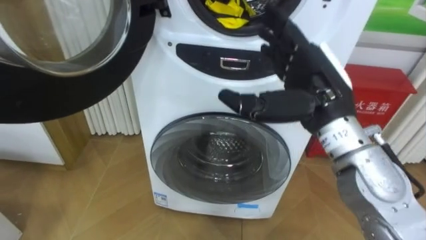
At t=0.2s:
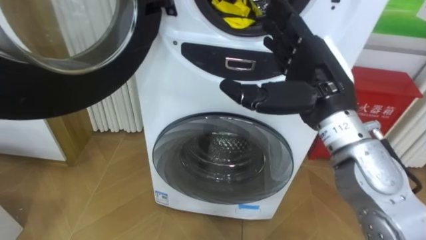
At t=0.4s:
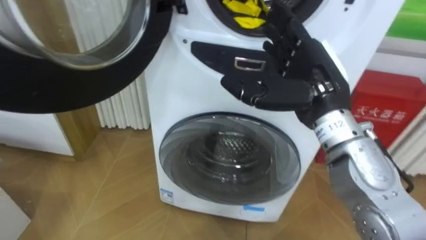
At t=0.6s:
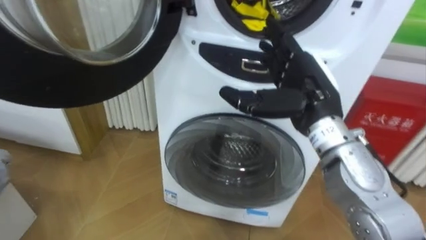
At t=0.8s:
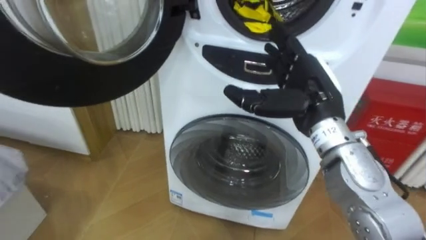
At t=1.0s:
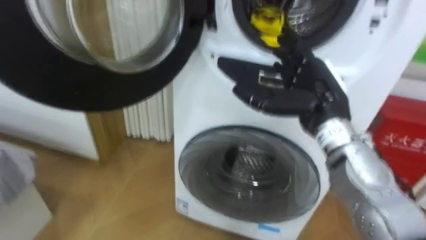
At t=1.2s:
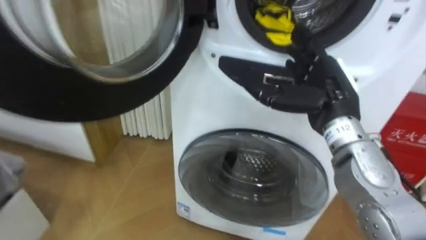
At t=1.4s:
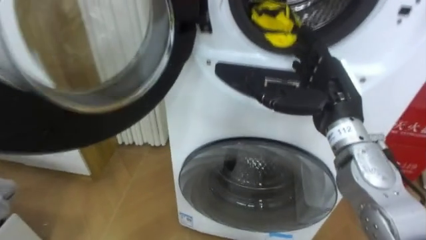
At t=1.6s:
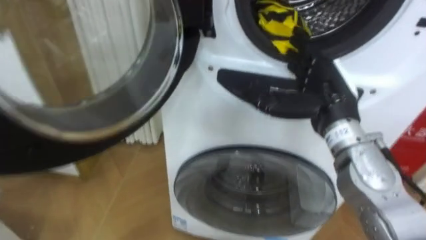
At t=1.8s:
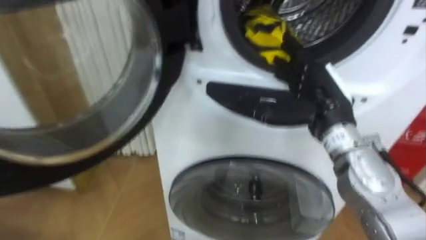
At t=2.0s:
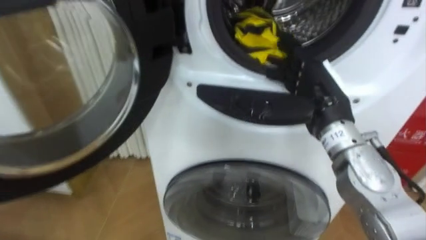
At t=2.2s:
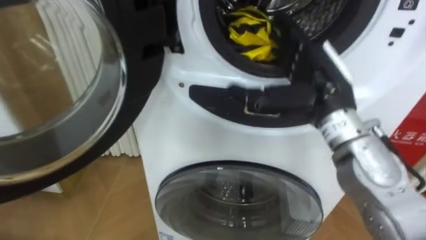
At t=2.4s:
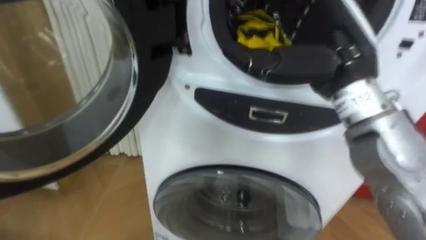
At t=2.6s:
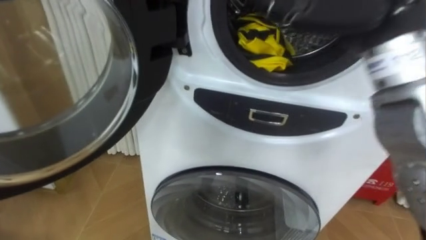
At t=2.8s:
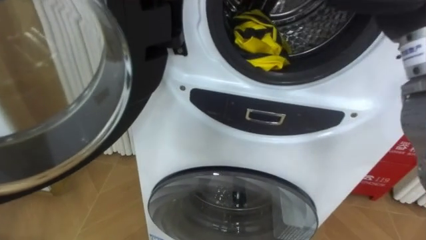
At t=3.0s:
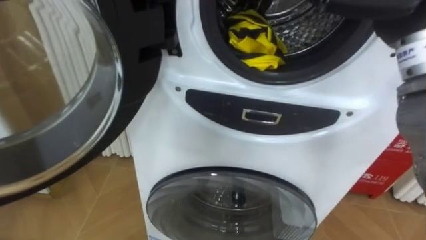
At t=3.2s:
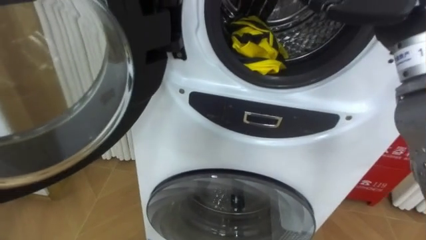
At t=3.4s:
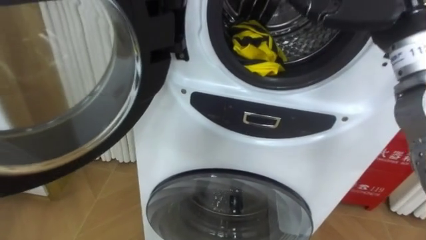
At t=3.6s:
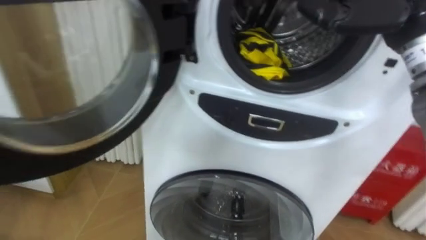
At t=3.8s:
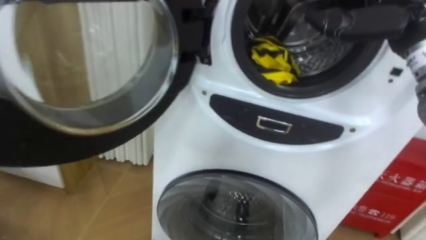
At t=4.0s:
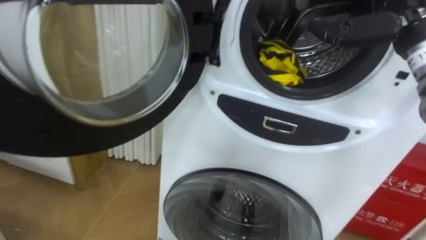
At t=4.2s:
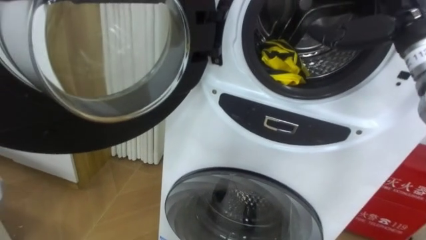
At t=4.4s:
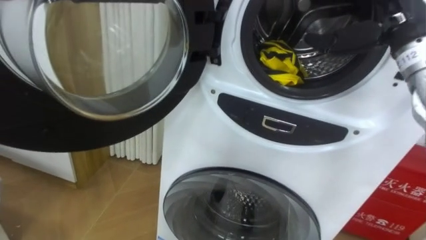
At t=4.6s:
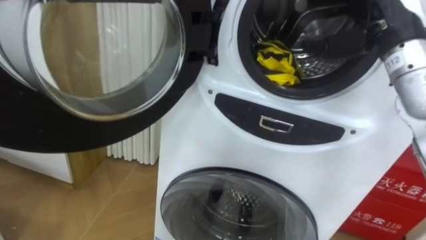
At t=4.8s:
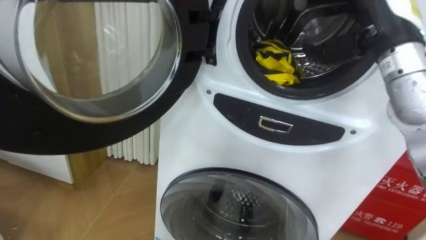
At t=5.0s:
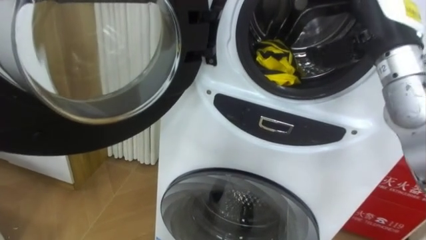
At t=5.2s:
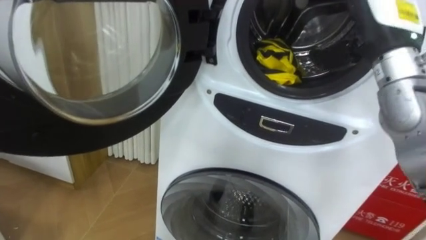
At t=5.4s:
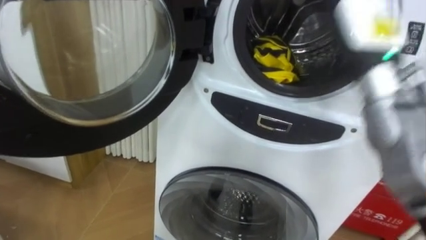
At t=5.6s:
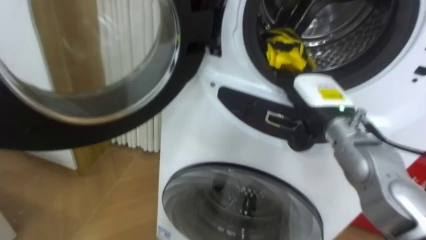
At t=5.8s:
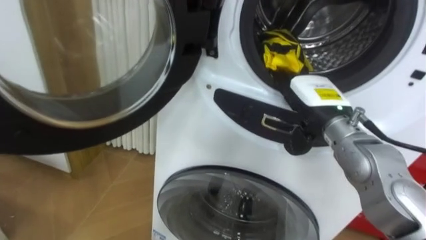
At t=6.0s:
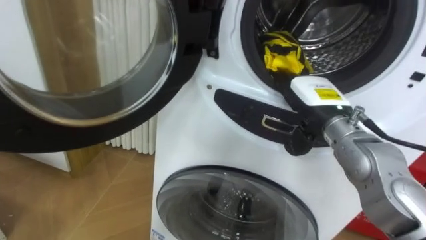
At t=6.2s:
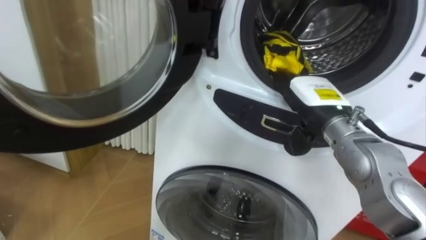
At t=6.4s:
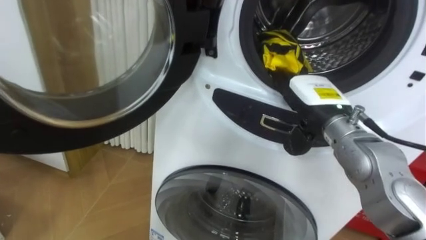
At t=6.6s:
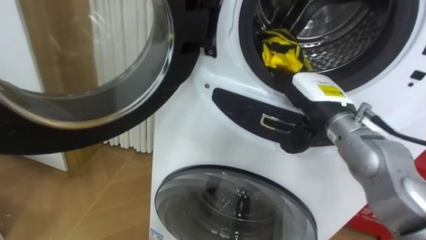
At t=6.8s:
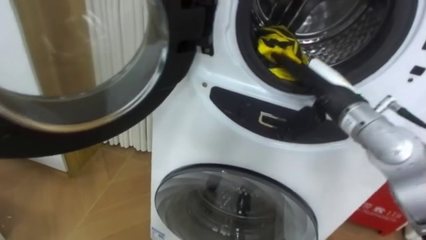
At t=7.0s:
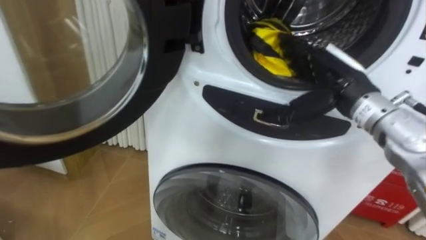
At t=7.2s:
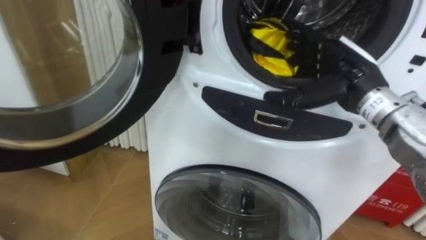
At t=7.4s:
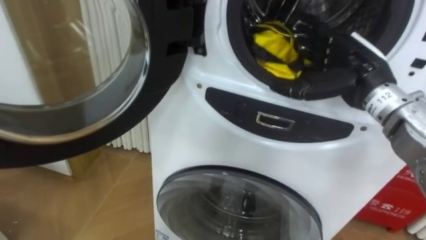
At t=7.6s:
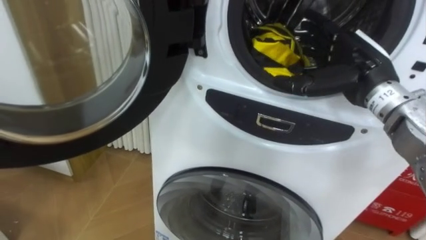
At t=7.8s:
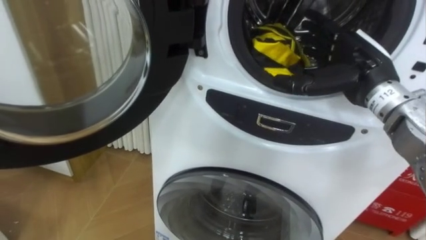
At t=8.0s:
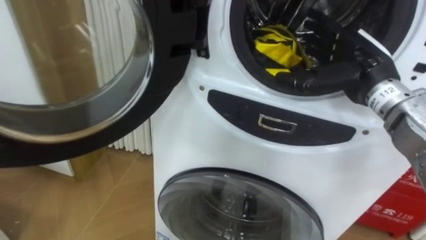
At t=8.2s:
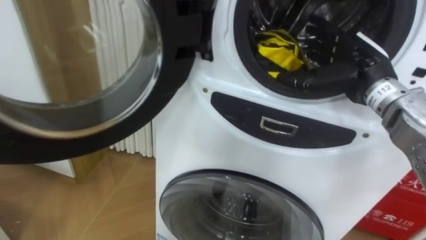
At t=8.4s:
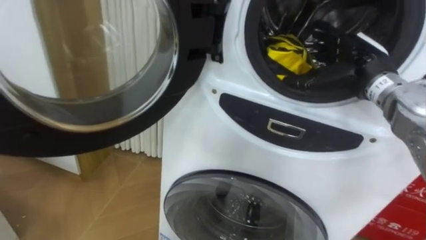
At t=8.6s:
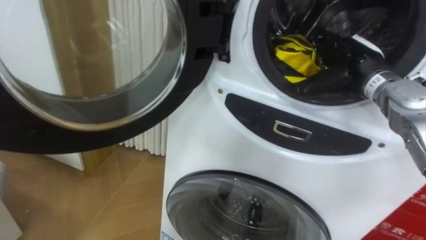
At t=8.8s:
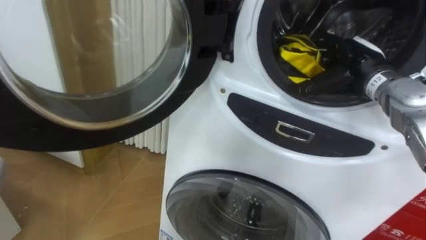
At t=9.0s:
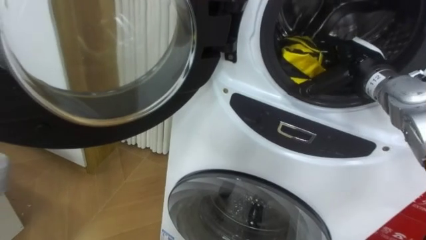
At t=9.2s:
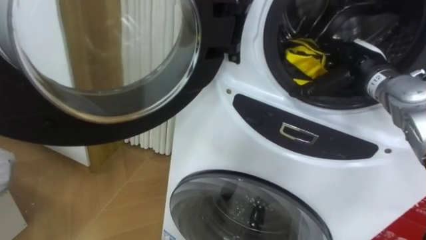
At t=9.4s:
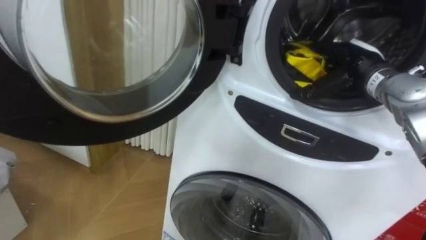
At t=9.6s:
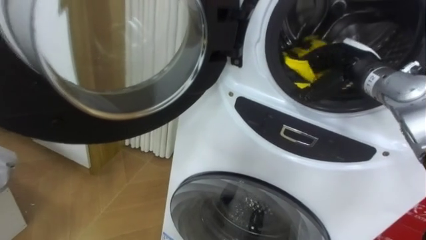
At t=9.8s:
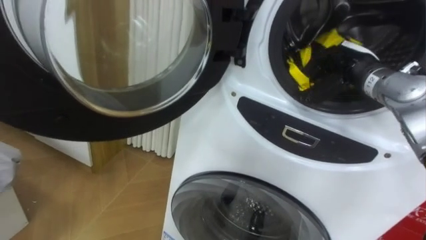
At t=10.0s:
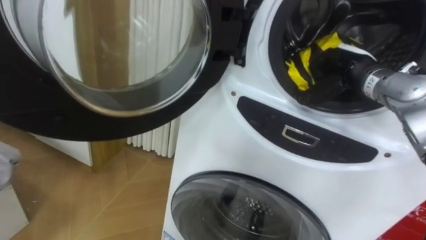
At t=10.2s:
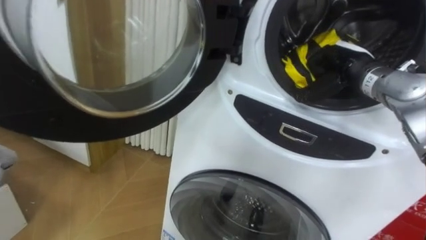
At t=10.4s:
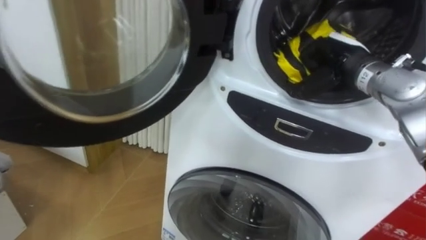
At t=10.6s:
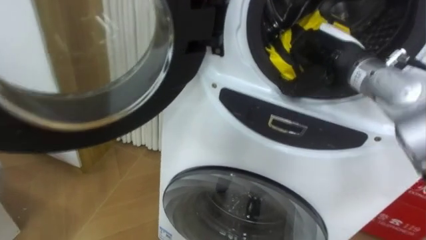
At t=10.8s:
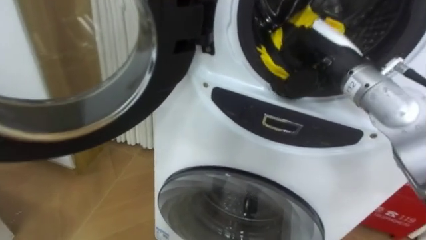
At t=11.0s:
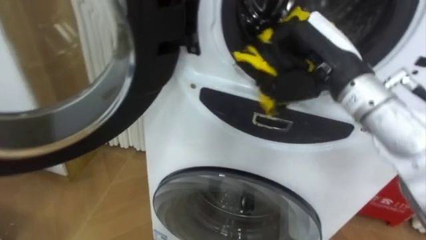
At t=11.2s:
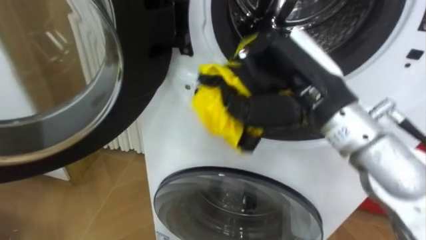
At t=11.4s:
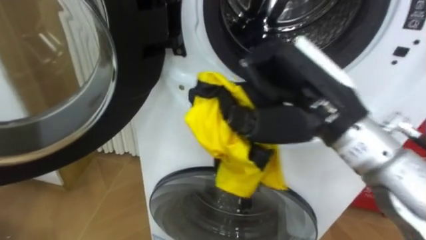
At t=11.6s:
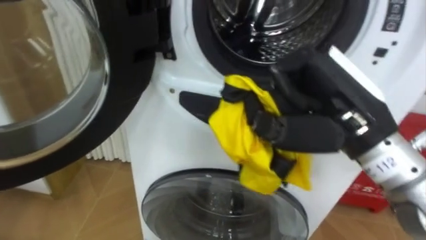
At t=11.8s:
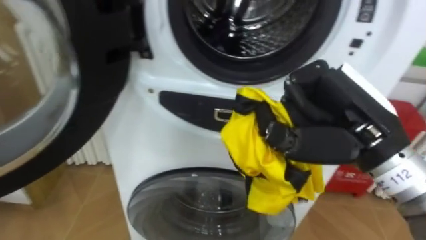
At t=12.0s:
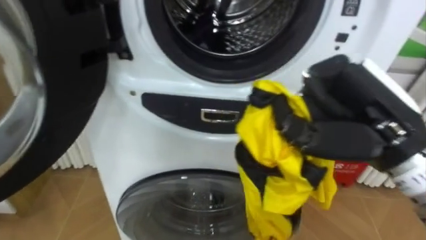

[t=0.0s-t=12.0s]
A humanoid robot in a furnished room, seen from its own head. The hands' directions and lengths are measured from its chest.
Task of the whole recording: Open the washing machine door, take out the yellow clothes, place them in the box on the right, and close the washing machine door.
t=0.0s to t=1.6s: The right hand ends up roughly 5 cm from where it was.
t=4.4s to t=6.0s: The right hand is displaced downward and to the left by some 15 cm.
t=6.0s to t=7.6s: The right hand moves upward and to the right, roughly 10 cm.
t=7.6s to t=9.0s: The right hand moves forward, some 5 cm.
t=9.0s to t=10.4s: The right hand closes.
t=10.4s to t=12.0s: The right hand moves backward, about 20 cm.

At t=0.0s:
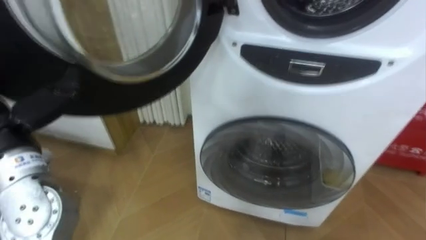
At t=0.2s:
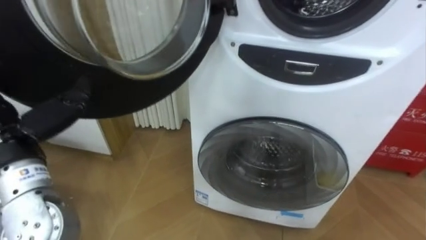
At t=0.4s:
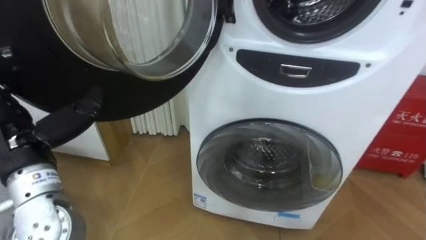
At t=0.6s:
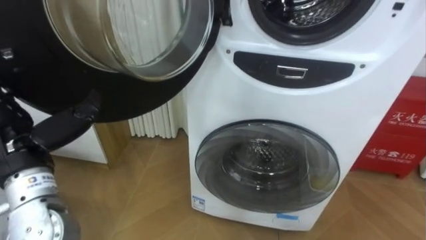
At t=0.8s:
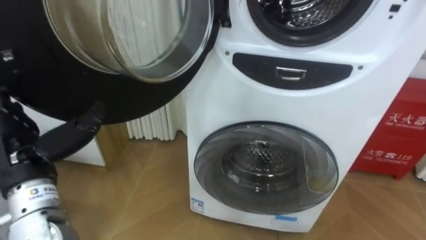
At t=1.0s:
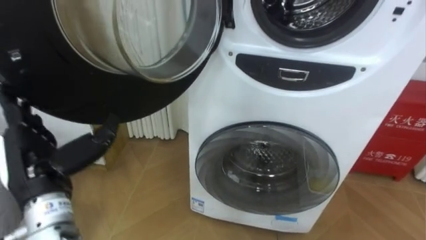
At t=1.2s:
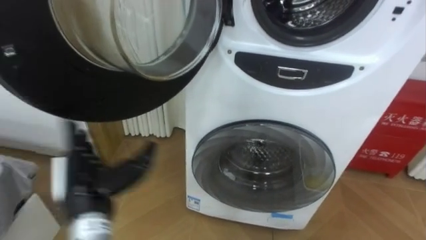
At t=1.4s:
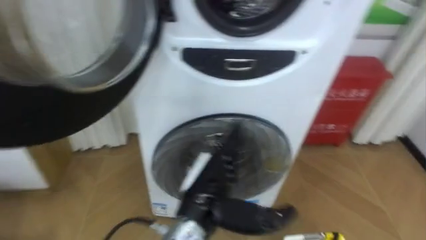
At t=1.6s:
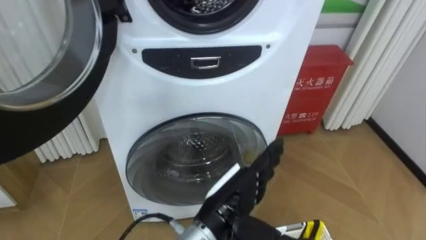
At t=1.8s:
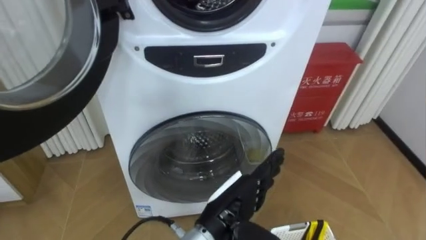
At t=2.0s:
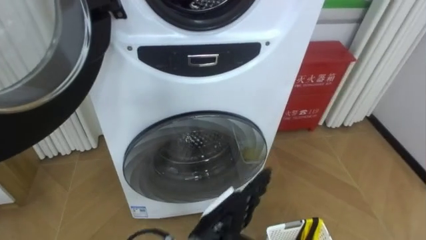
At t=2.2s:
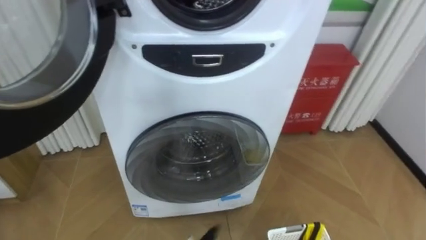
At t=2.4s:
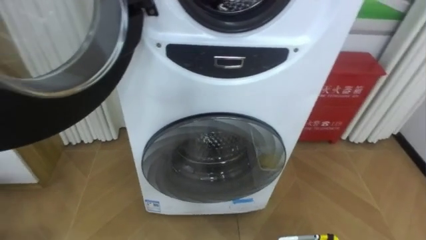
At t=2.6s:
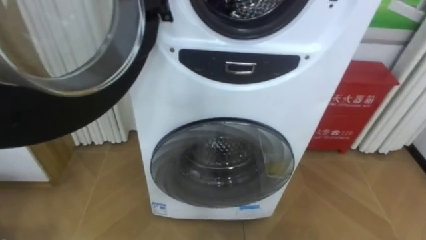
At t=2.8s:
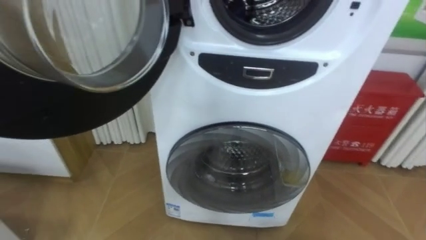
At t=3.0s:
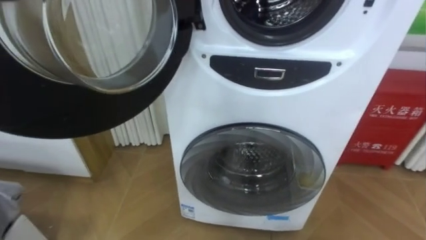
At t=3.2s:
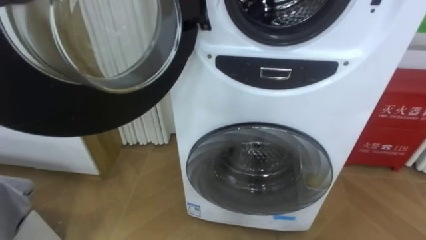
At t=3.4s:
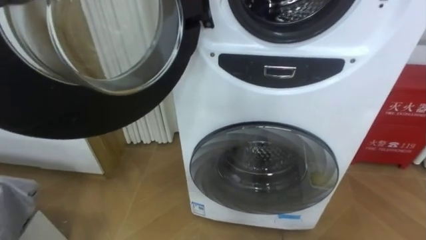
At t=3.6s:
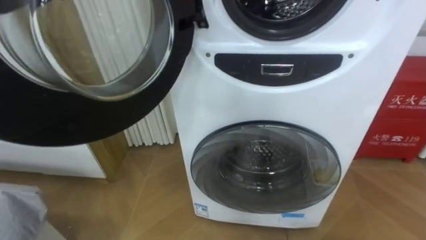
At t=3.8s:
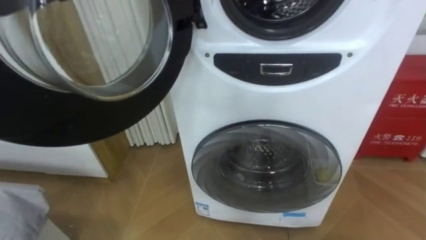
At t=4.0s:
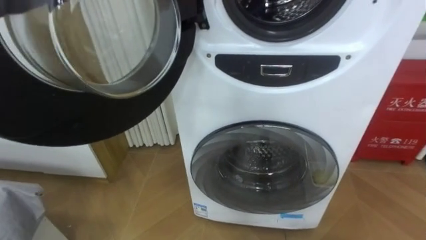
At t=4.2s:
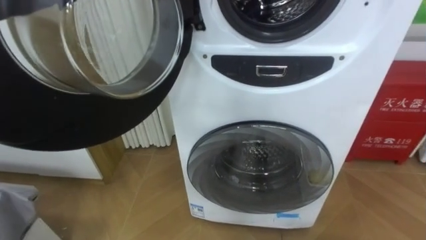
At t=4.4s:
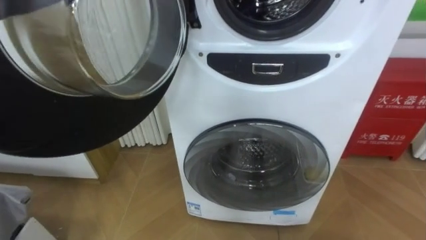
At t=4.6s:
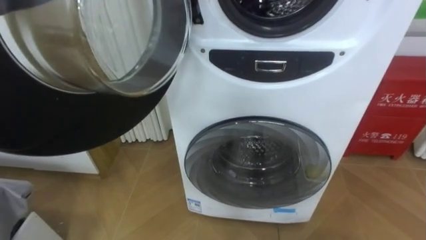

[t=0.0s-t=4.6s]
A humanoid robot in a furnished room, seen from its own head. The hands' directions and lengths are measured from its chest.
Task of the whole recording: Open the washing machine door, take out the yellow clothes, place them in the box on the right, and close the washing machine door.
t=0.0s to t=1.6s: The left hand shifts approximately 30 cm to the right.
